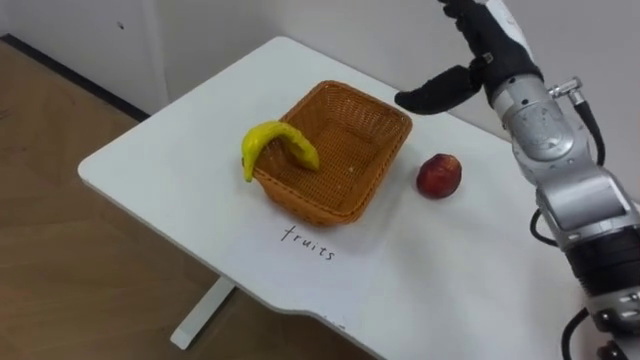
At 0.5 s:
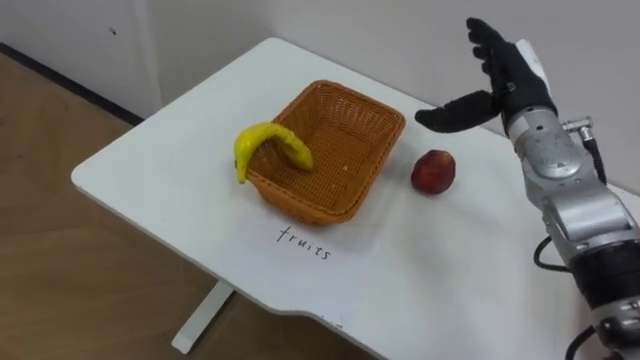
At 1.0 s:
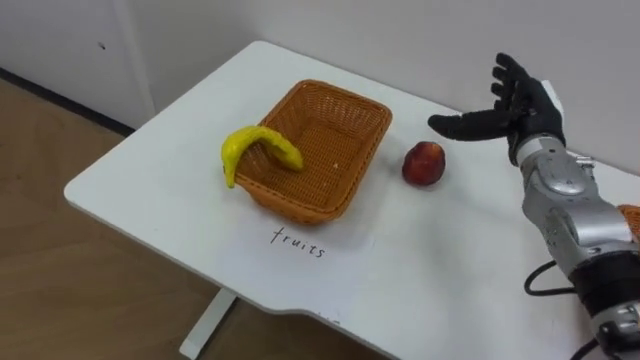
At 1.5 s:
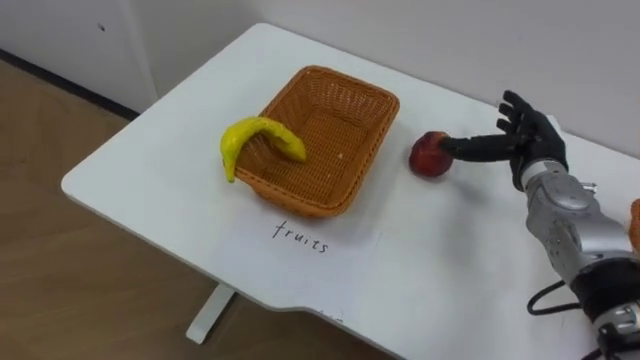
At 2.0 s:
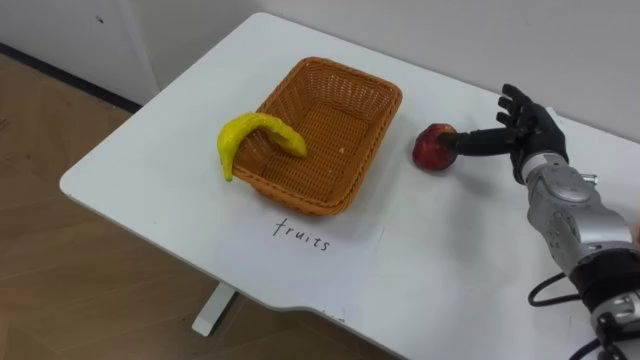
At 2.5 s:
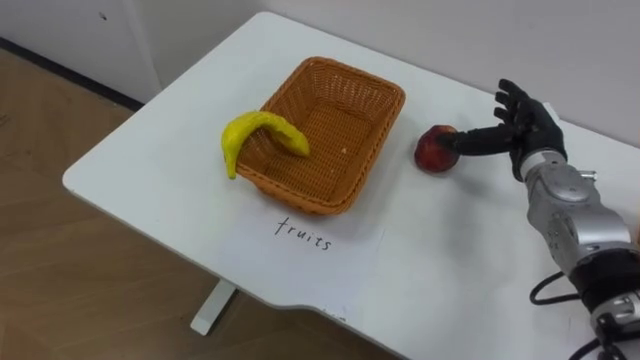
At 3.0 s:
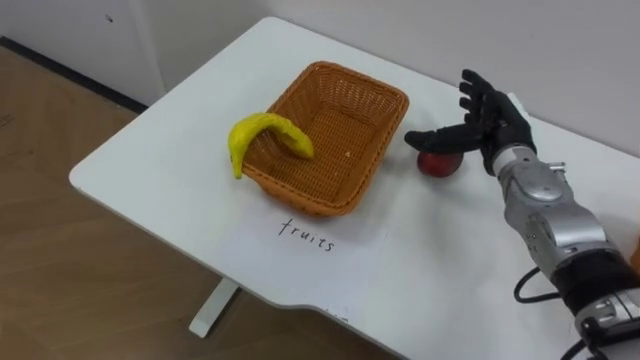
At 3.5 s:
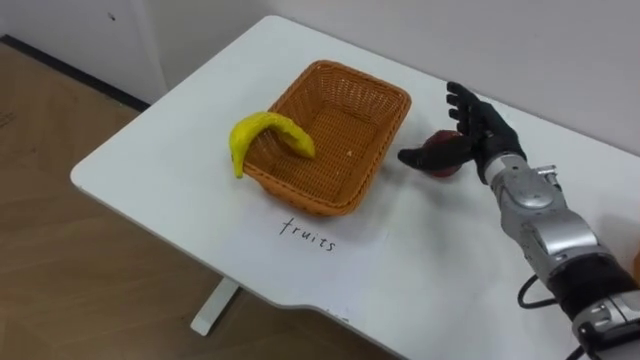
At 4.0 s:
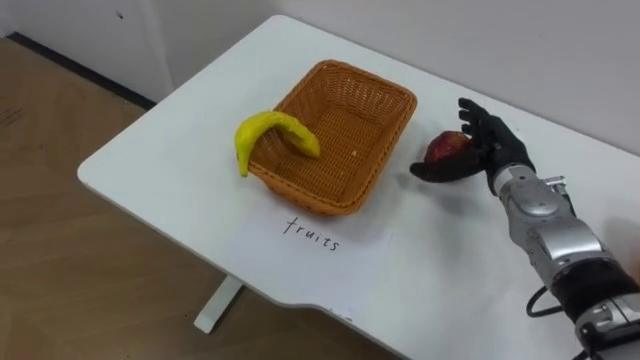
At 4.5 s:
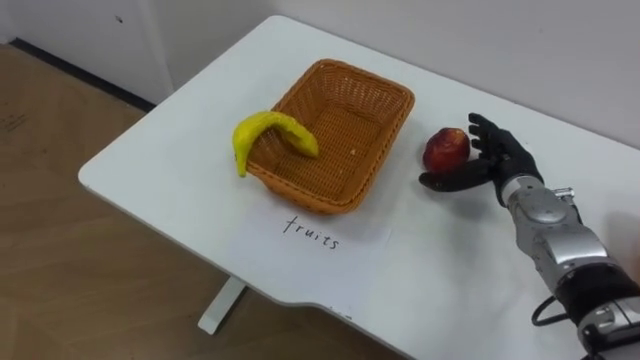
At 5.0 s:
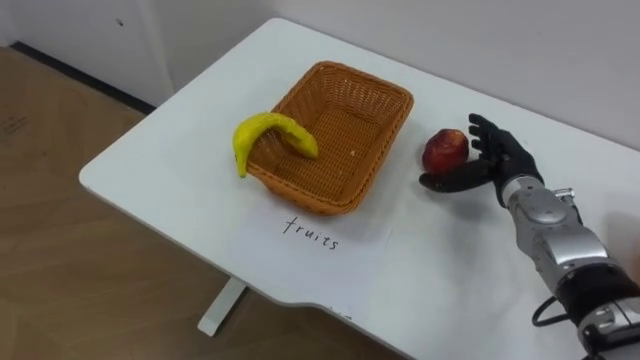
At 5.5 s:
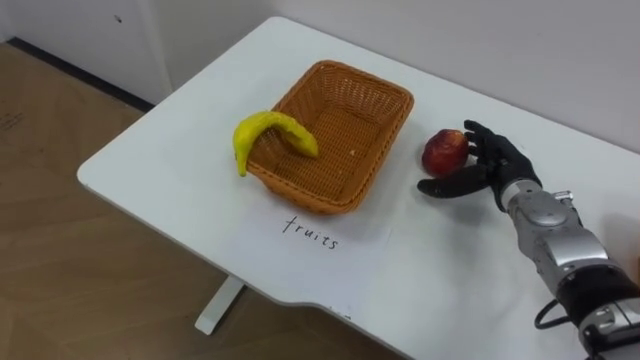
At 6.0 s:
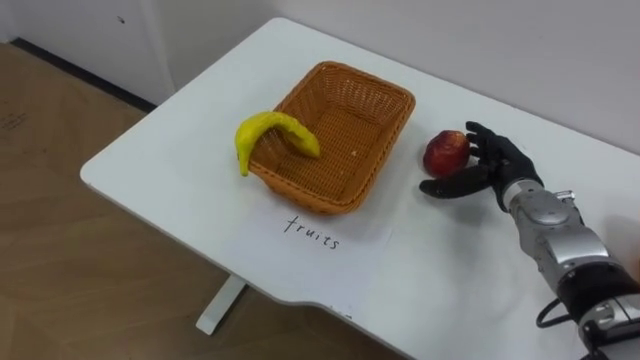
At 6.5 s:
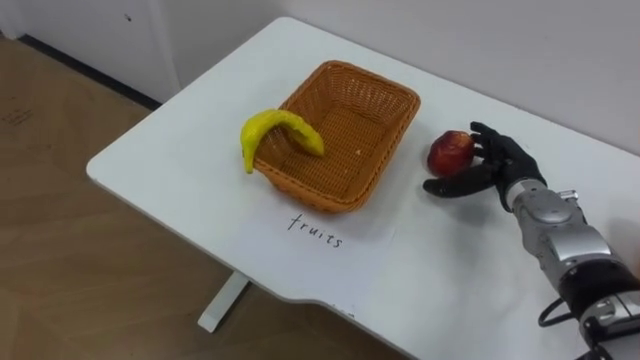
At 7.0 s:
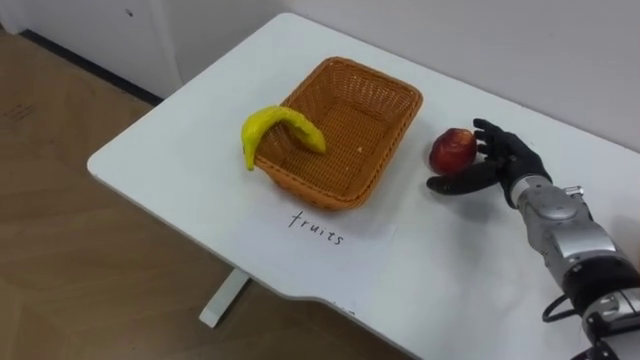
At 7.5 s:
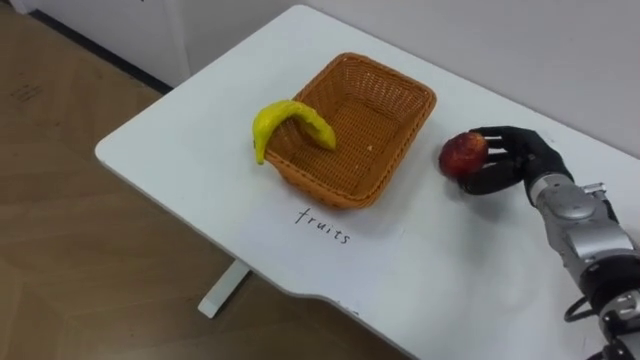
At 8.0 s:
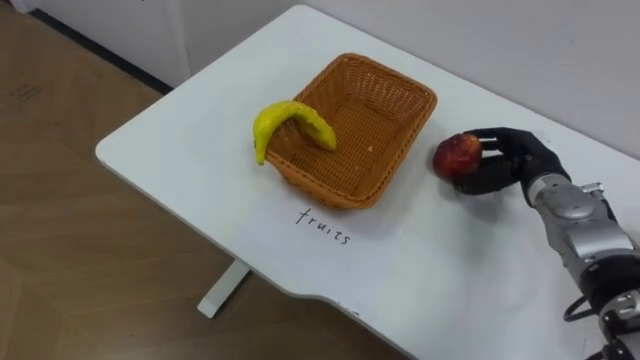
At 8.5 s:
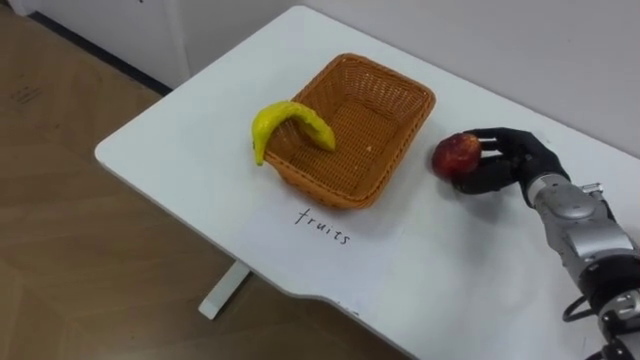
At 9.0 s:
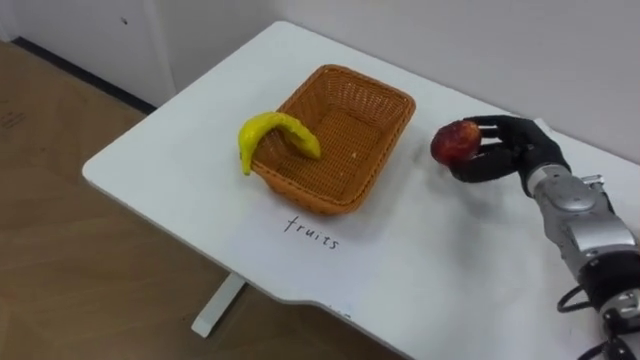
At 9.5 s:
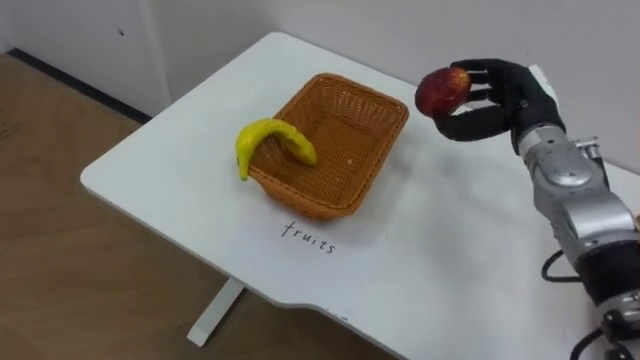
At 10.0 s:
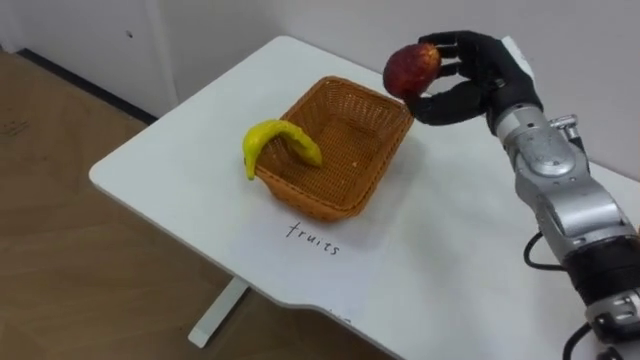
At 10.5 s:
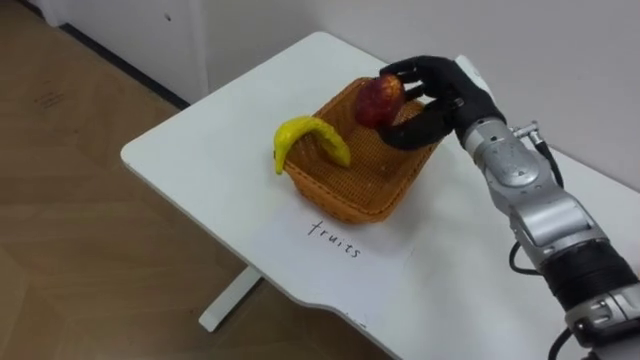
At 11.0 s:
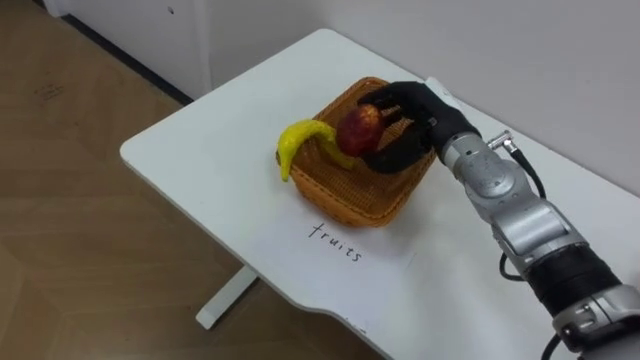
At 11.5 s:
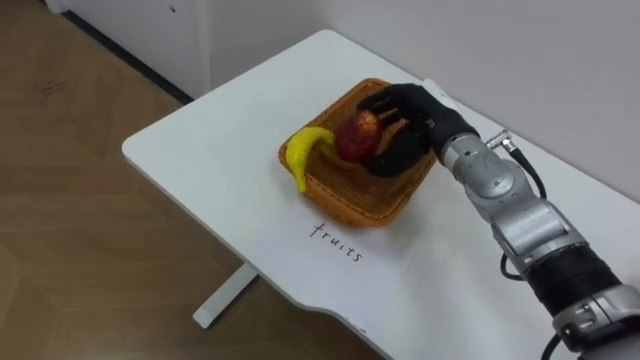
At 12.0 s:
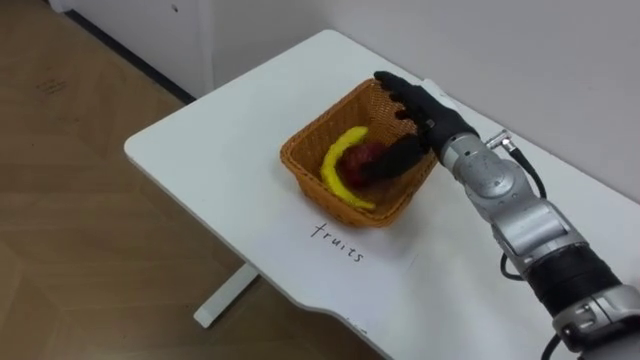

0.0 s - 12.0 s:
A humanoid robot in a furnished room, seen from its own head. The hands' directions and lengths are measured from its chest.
Task of the whole recording: Separate the items on the table and place them into the two baskets.
0.0 s - 2.0 s: The right hand heads downward and to the right, covering approximately 15 cm.
6.0 s - 8.0 s: The right hand closes up.
8.0 s - 10.0 s: The right hand moves upward and to the left, some 15 cm.
10.0 s - 12.0 s: The right hand moves to the left, some 5 cm, and opens.

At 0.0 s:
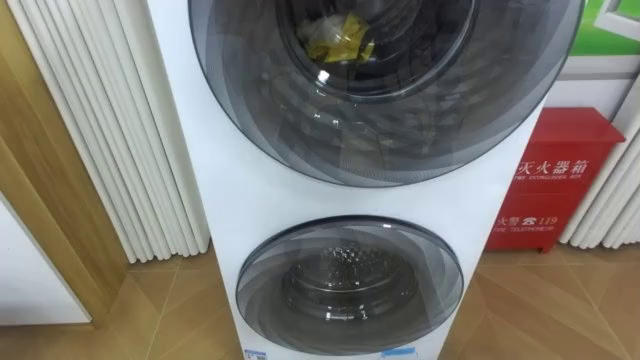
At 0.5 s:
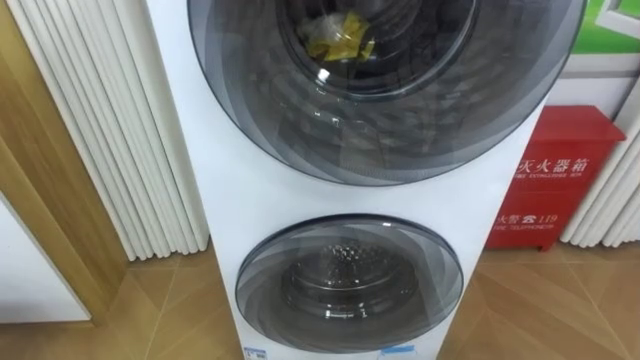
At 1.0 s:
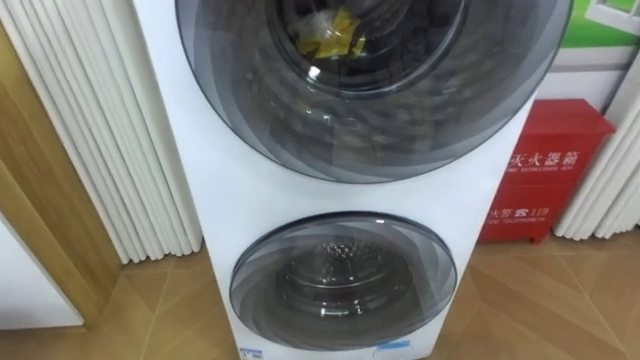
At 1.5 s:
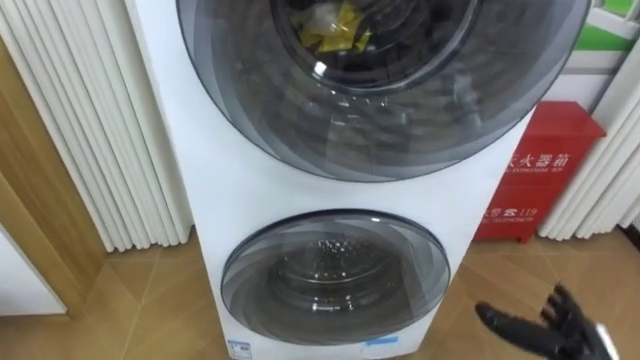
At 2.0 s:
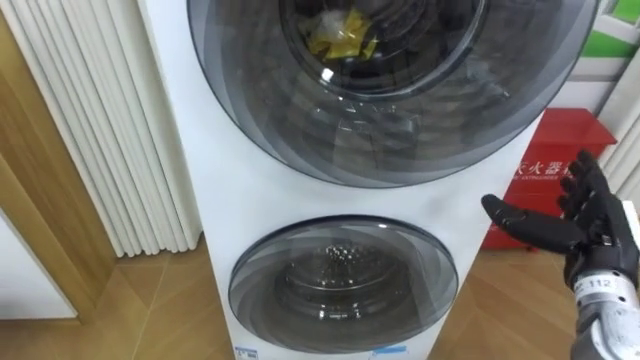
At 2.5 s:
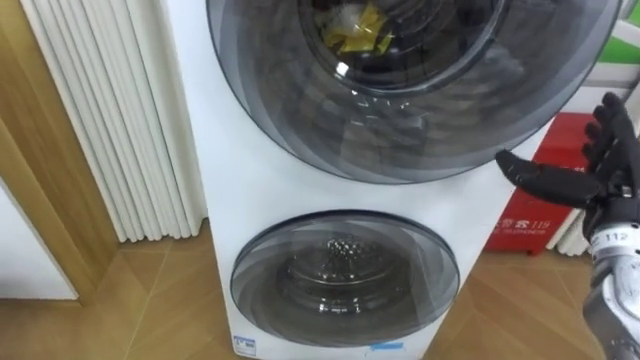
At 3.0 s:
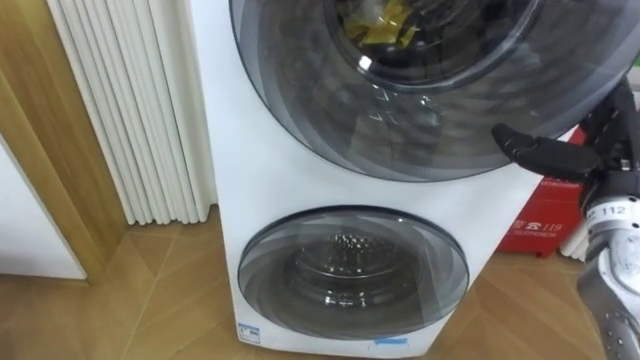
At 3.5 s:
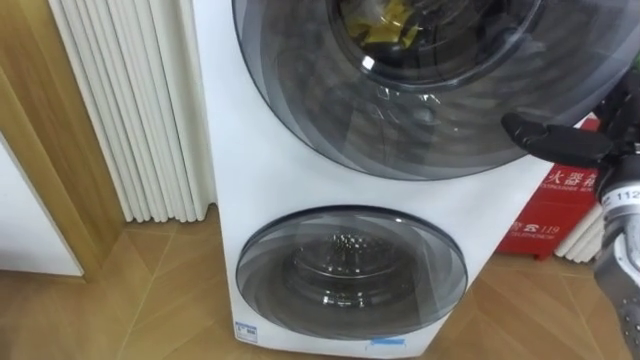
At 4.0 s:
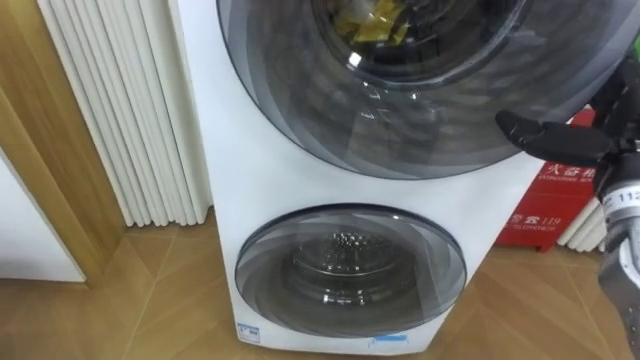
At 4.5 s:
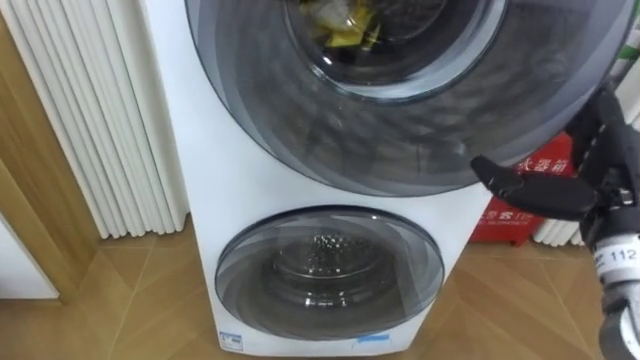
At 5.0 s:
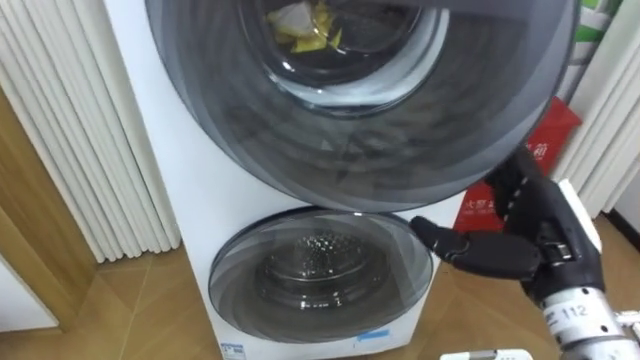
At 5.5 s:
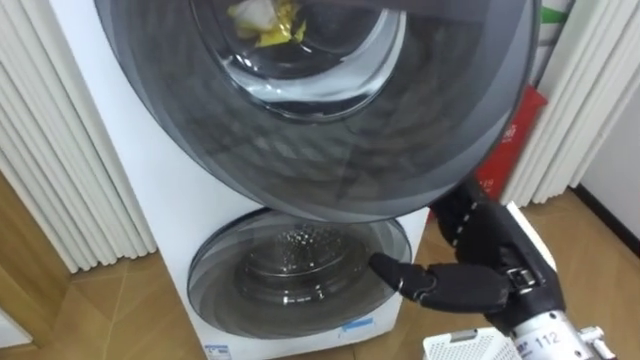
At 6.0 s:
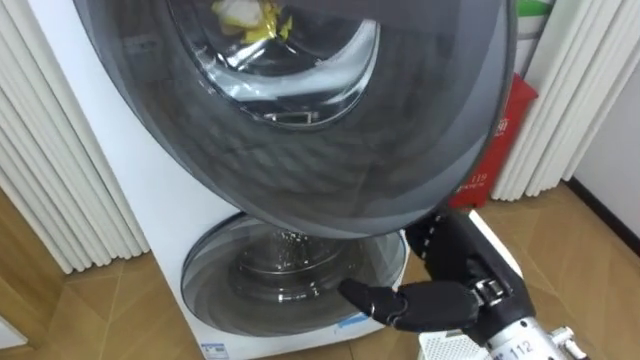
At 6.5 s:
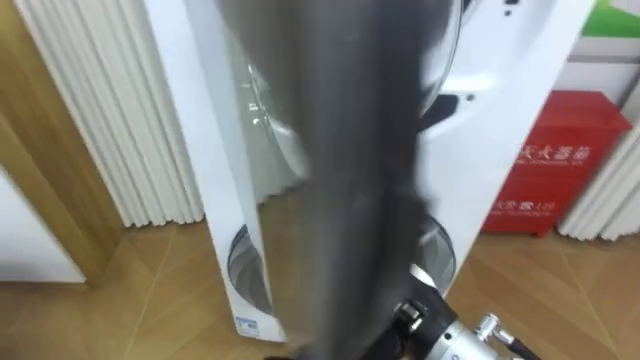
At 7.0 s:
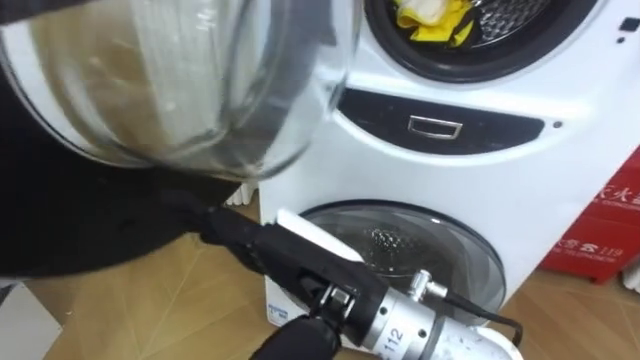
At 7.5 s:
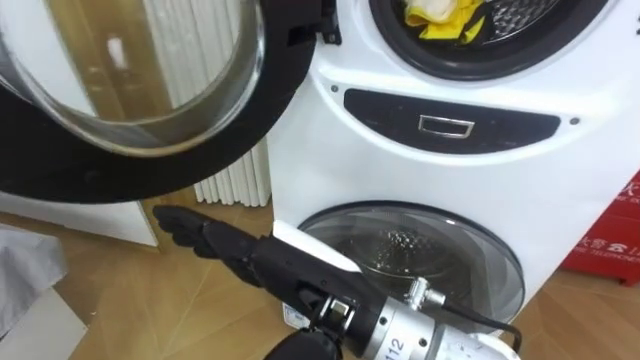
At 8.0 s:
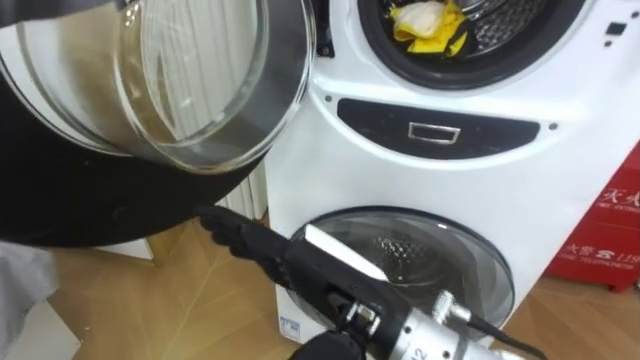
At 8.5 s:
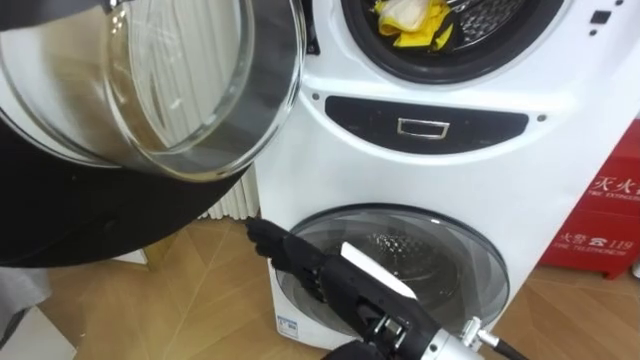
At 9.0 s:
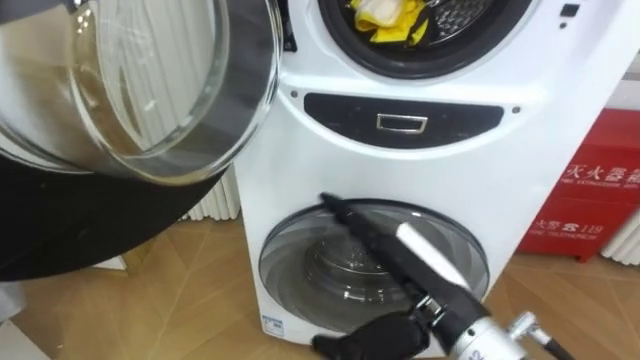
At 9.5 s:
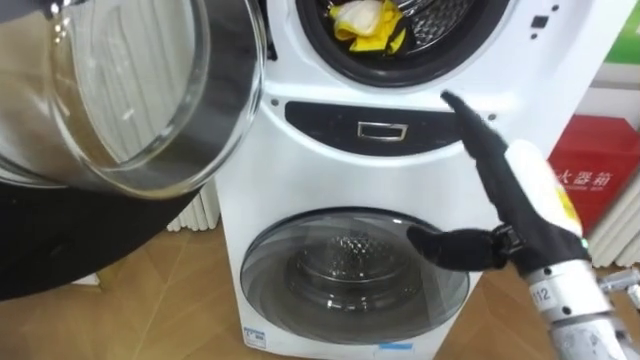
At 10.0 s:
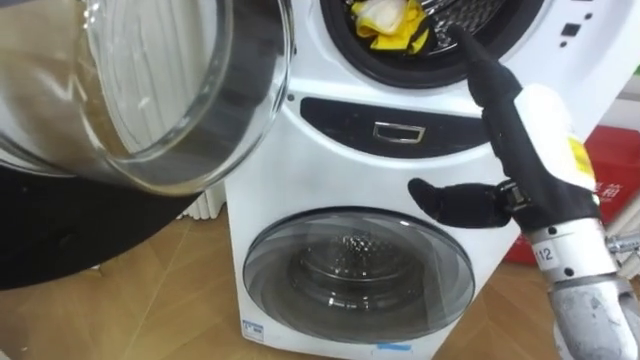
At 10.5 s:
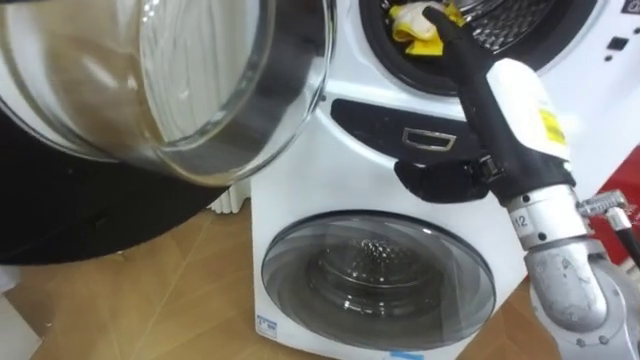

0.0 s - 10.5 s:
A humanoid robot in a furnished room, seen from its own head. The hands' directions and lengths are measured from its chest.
Task of the whole recording: Open the washing machine door, take out the yellow clothes, place them in the box on the right, and close the washing machine door.
2.0 s - 4.0 s: The right hand moves upward, roughly 10 cm.
4.0 s - 6.5 s: The right hand is displaced to the left and backward by approximately 25 cm.
8.5 s - 10.5 s: The right hand moves to the right, upward and forward, about 20 cm.
